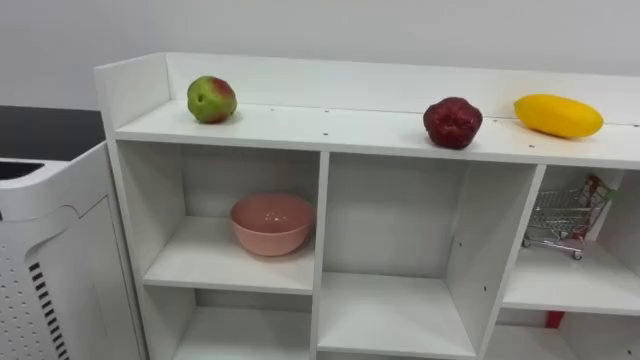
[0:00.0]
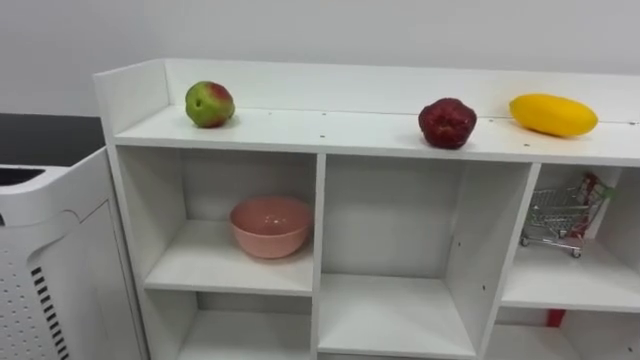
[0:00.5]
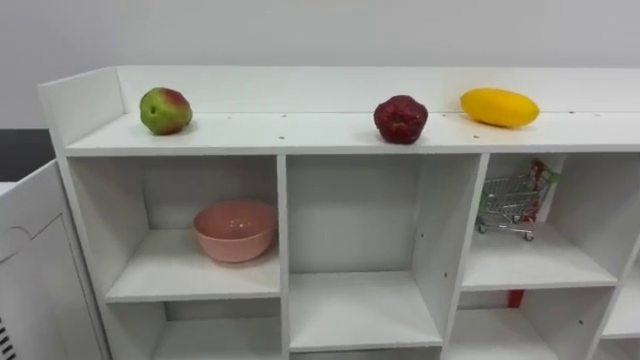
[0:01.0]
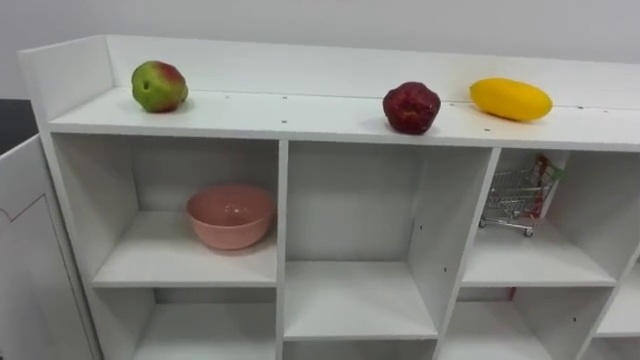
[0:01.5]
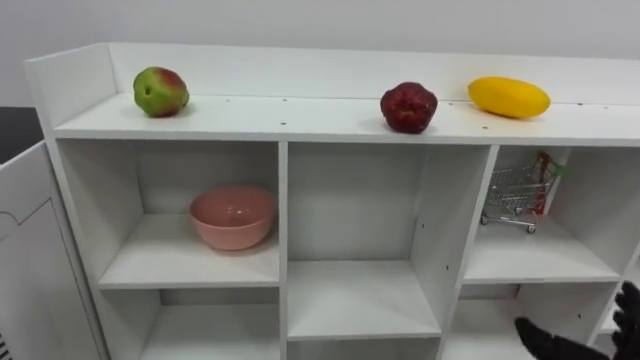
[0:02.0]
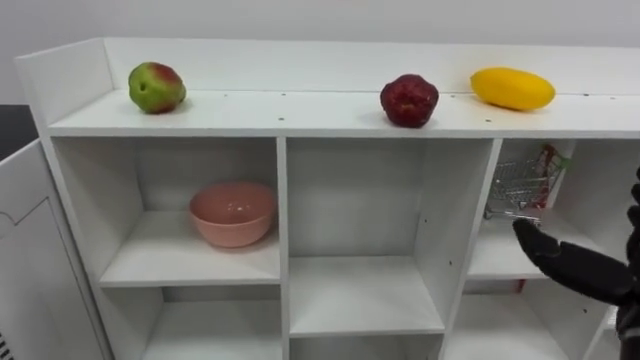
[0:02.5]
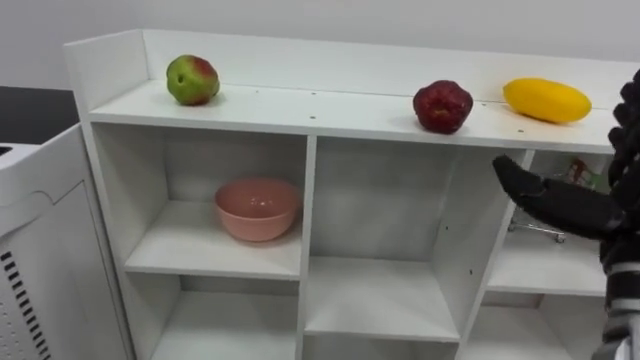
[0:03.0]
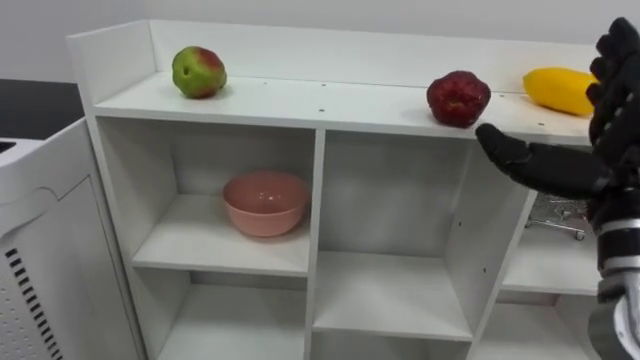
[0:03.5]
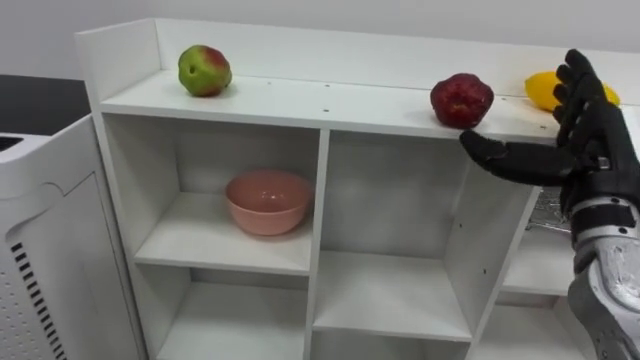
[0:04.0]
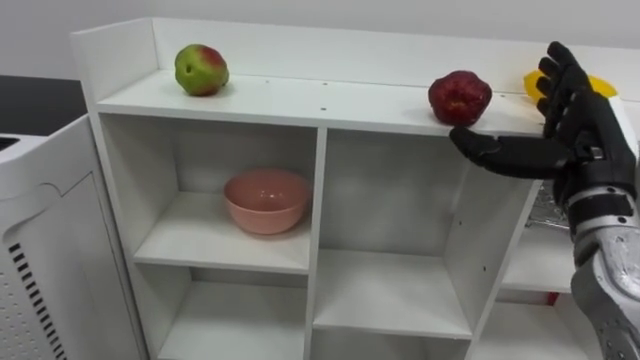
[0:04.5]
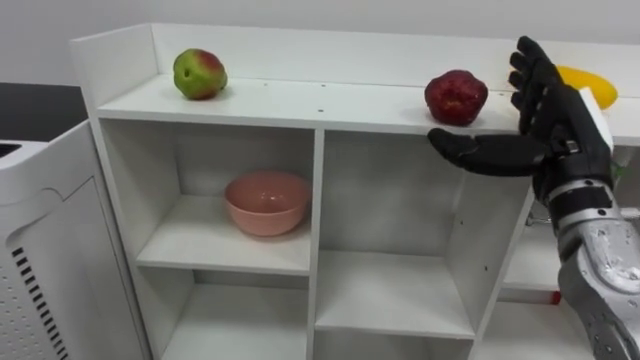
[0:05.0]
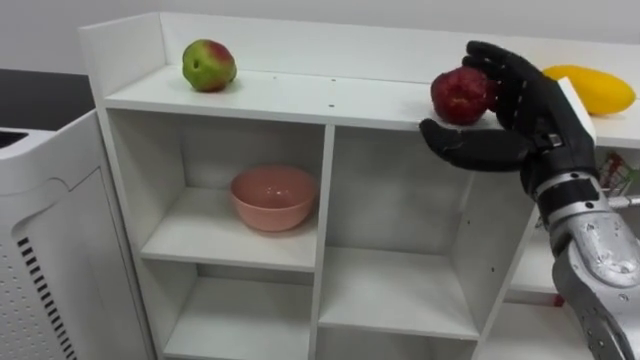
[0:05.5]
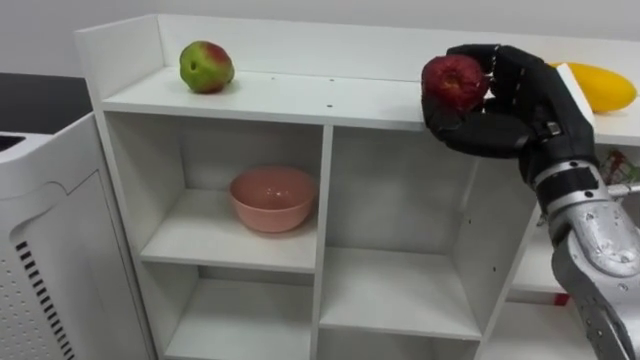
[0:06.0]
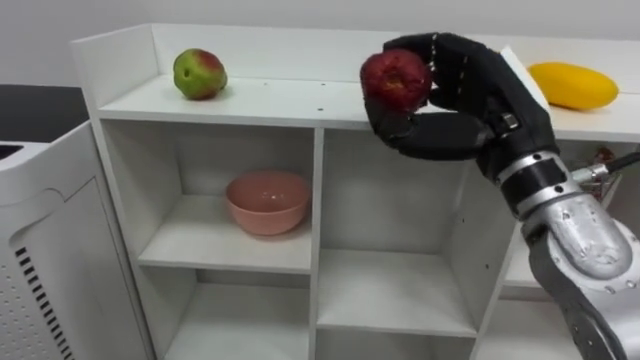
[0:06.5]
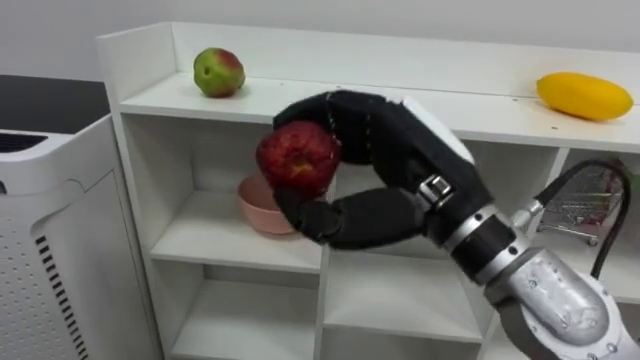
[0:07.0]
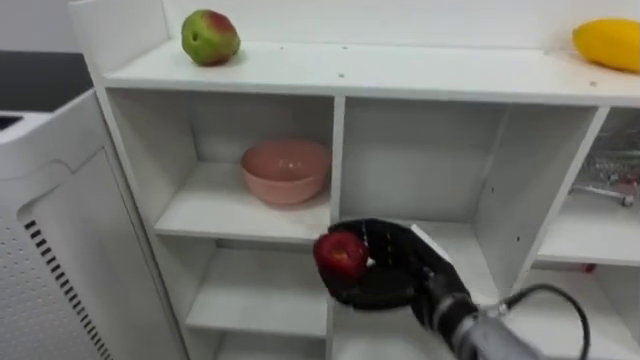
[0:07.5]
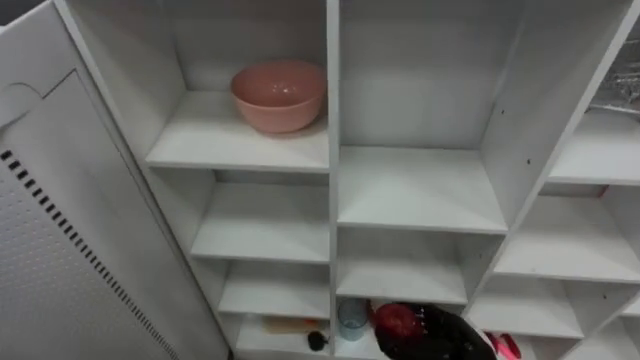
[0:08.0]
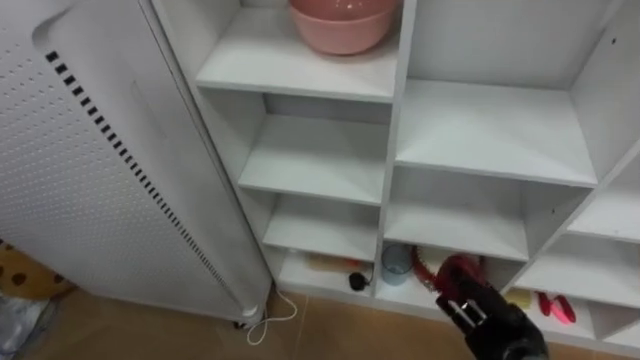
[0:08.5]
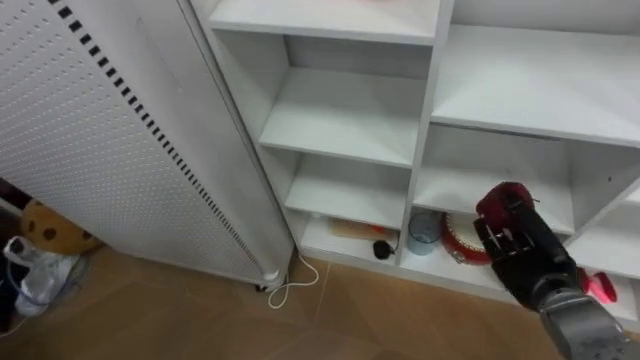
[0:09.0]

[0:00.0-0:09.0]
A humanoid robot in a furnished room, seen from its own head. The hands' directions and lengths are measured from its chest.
Task of the whole recording: Put the apple in the cell in the second column from the left and the second row from the top.
0:04.5 to 0:07.0: The right hand travels to the left by roughly 15 cm, and closes up.

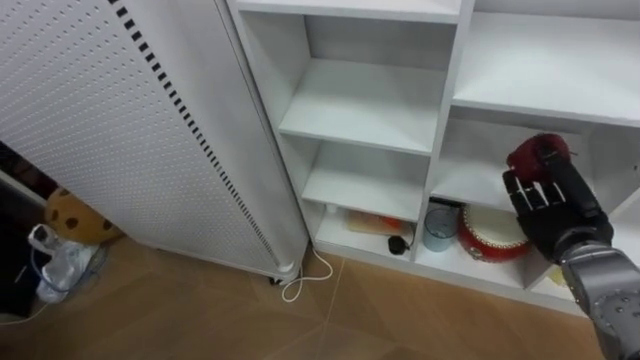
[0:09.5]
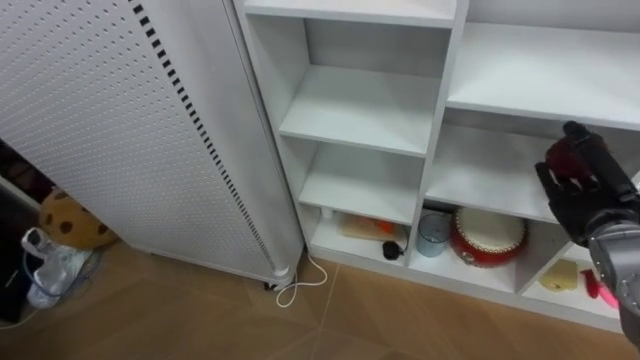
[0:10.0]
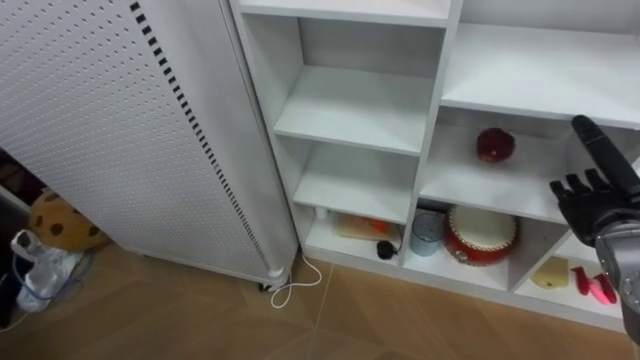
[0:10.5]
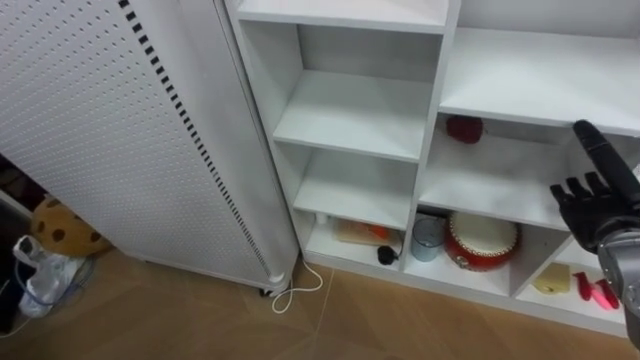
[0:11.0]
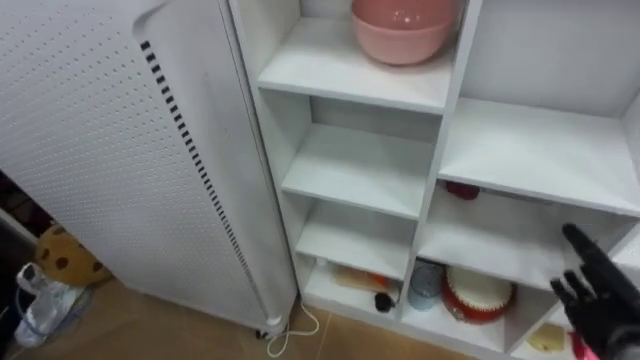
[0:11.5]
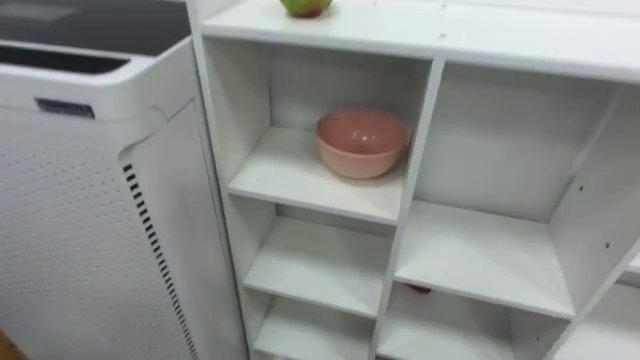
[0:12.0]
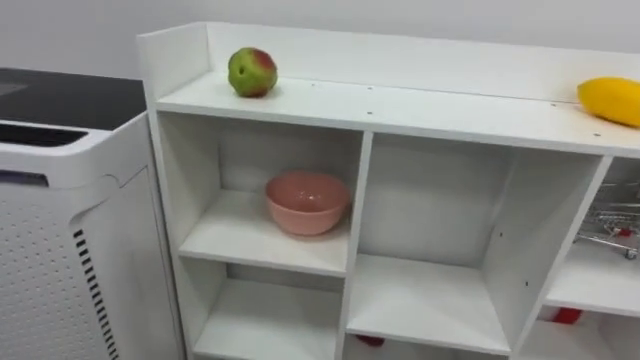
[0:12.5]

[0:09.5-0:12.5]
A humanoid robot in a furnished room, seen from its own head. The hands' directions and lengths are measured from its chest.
Task of the whole recording: Put the apple in the cell in the second column from the left and the second row from the top.
0:09.5 to 0:11.0: The right hand opens.

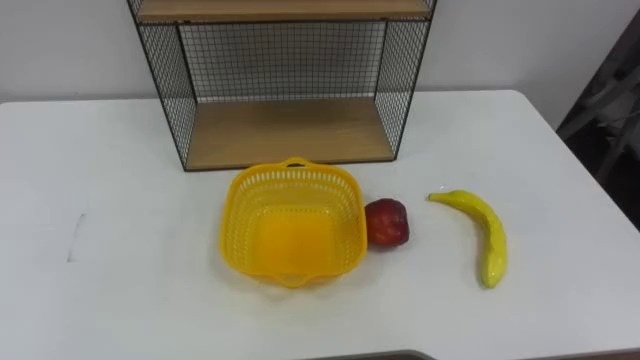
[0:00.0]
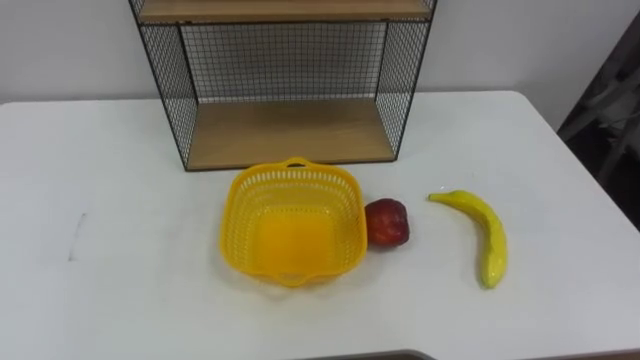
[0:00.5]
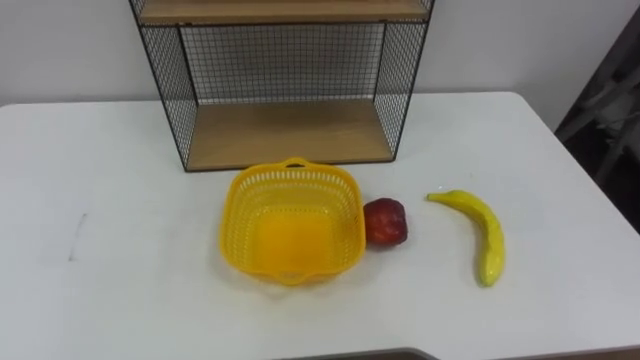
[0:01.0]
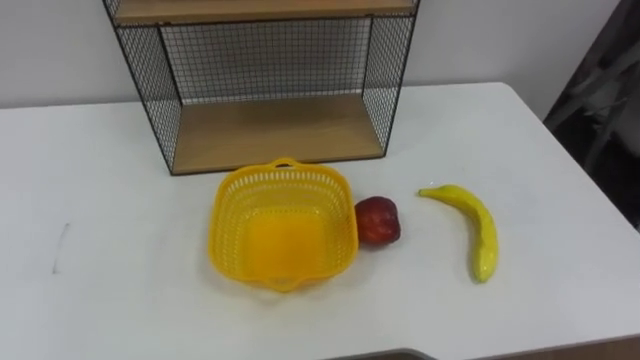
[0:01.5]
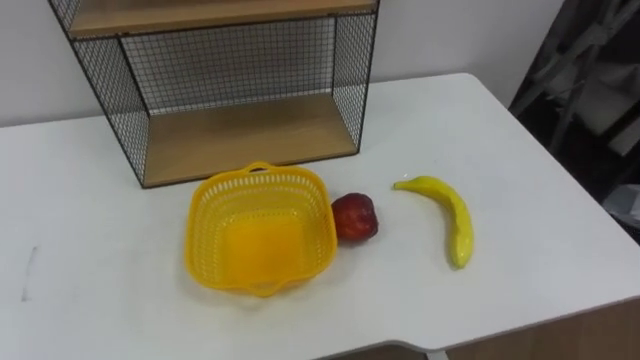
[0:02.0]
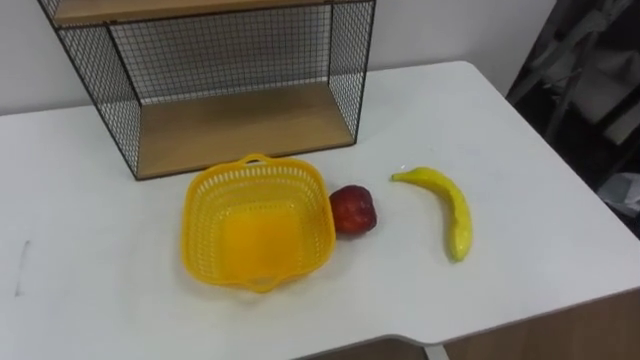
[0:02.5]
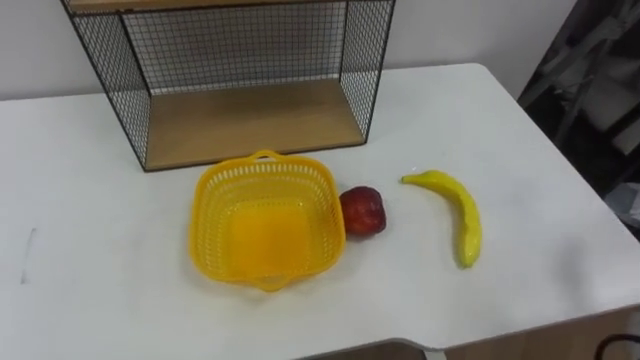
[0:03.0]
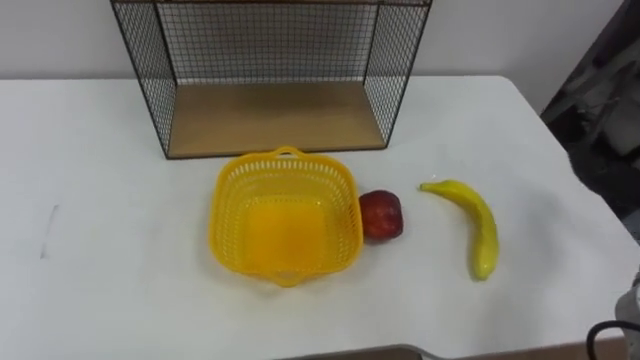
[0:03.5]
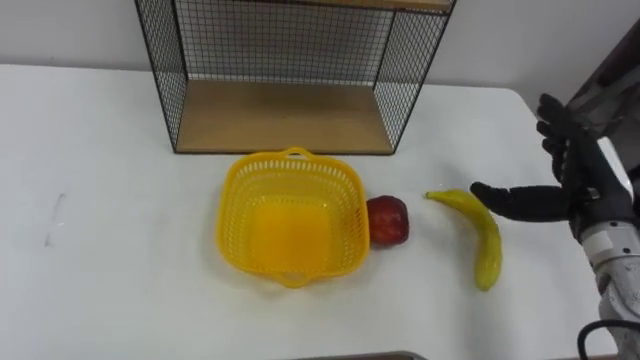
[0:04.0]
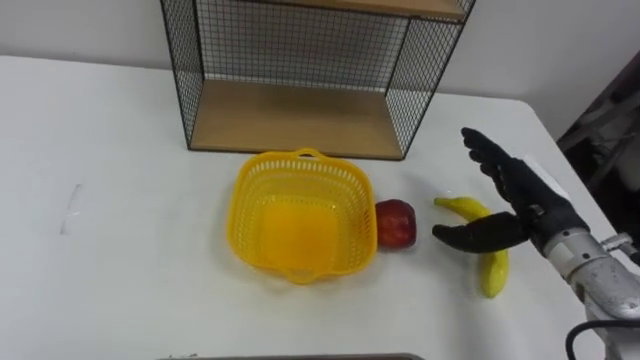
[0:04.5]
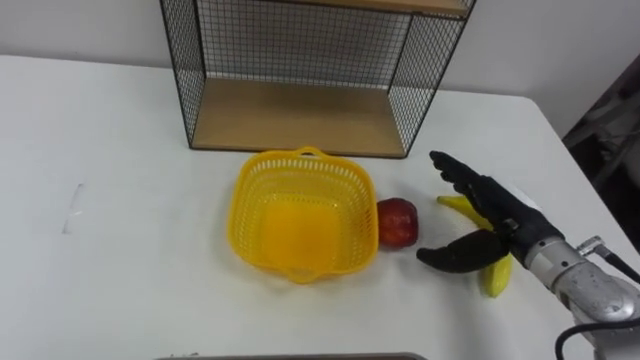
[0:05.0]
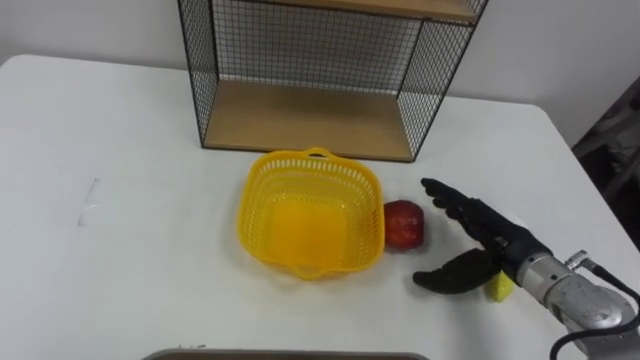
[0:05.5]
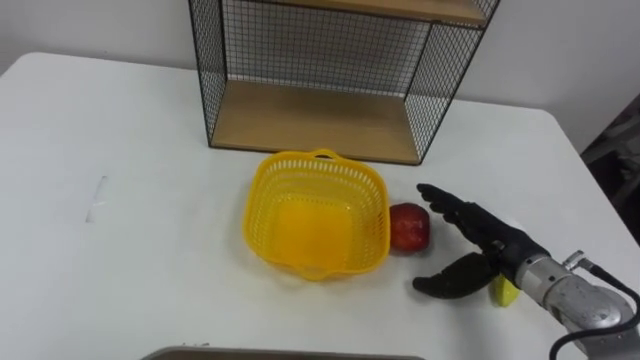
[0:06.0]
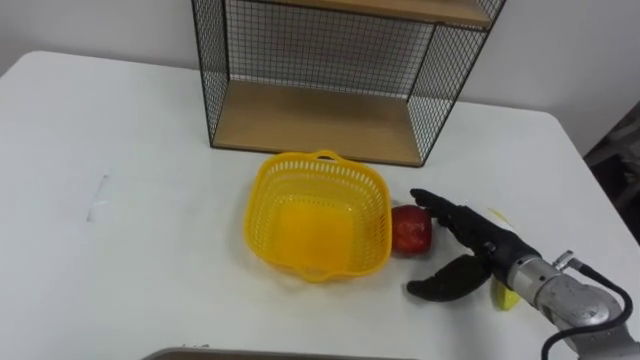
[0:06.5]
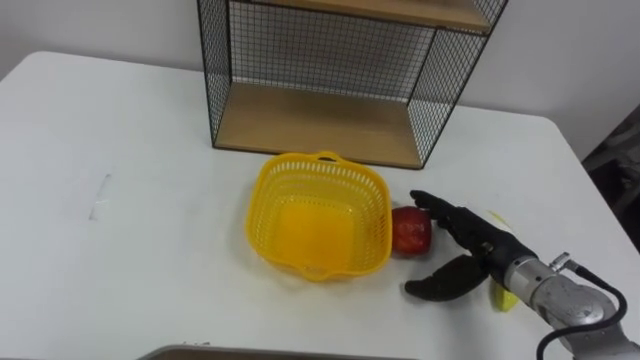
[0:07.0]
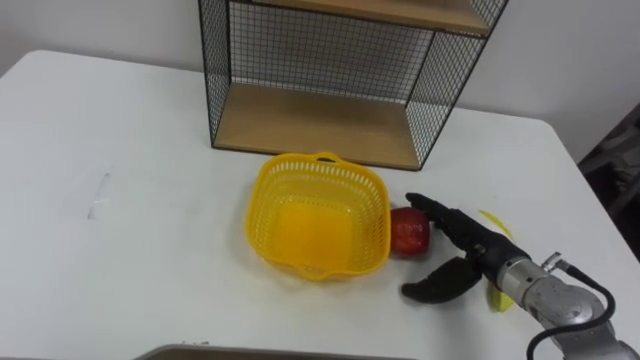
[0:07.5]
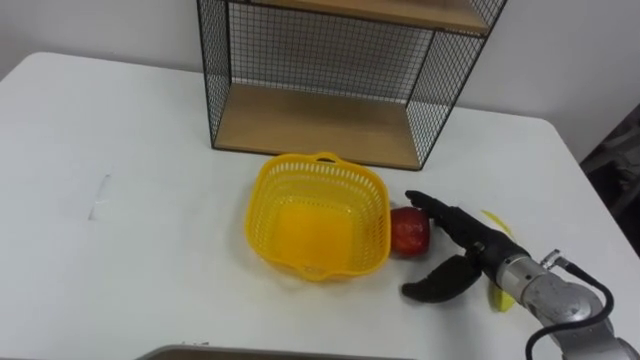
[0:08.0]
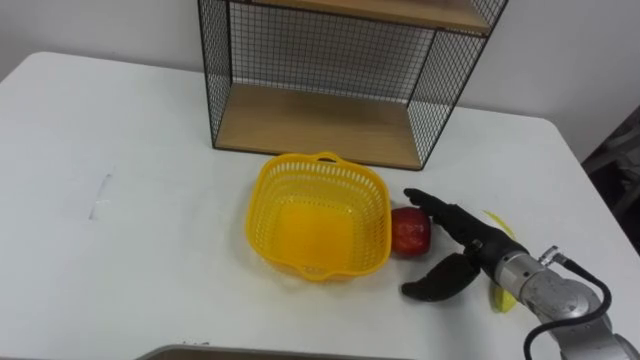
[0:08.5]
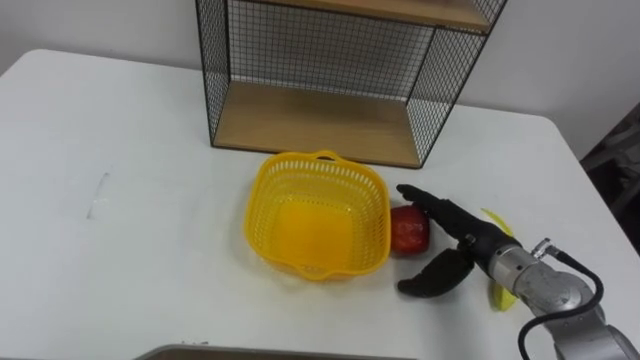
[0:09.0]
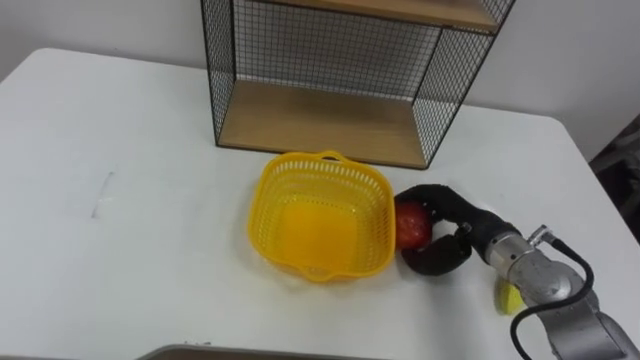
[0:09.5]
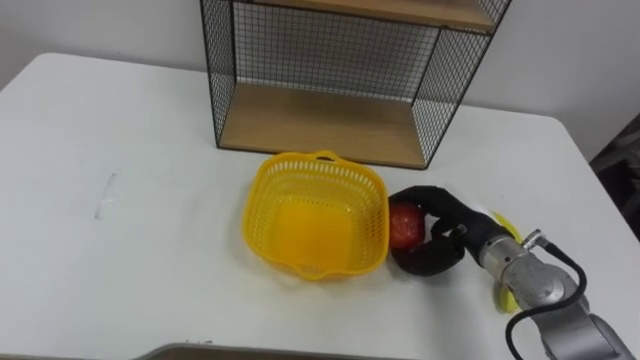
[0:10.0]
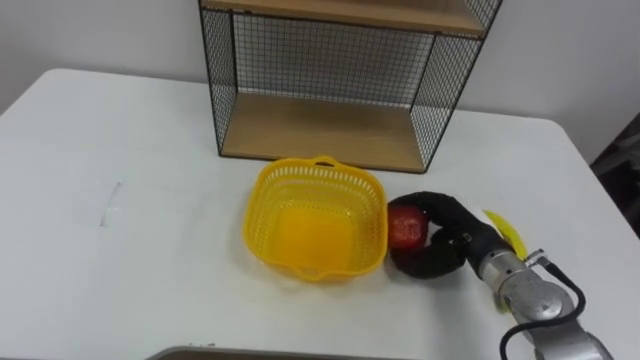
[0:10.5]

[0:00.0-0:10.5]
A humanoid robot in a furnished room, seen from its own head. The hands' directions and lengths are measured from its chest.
Task of the whole recording: Put the fruit on the table into the basket, then place the basket on the shelf.
0:04.0 to 0:06.5: The right hand heads to the left and downward, covering about 10 cm.
0:08.5 to 0:10.5: The right hand closes up.
